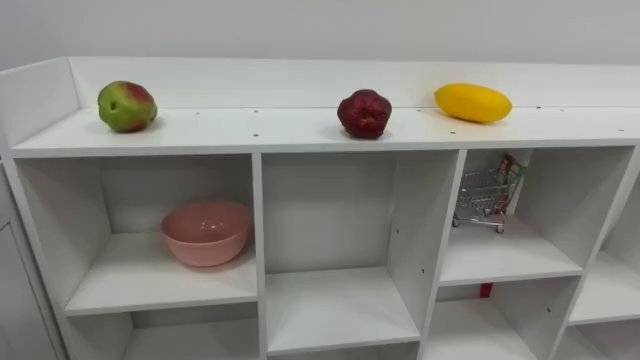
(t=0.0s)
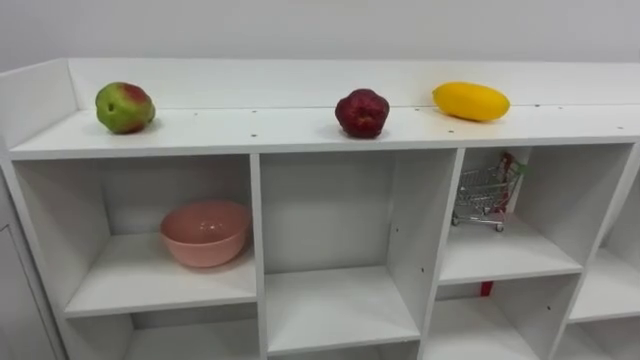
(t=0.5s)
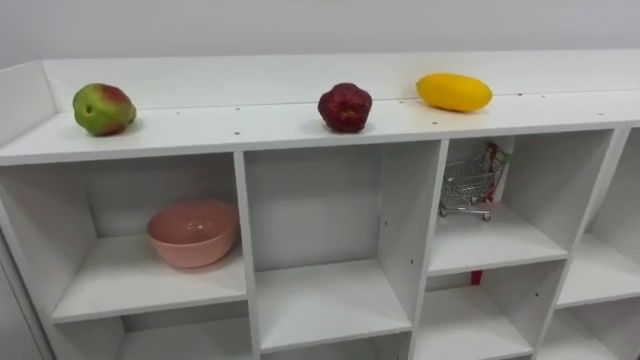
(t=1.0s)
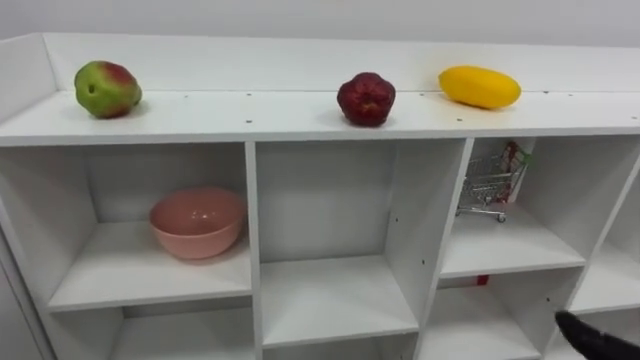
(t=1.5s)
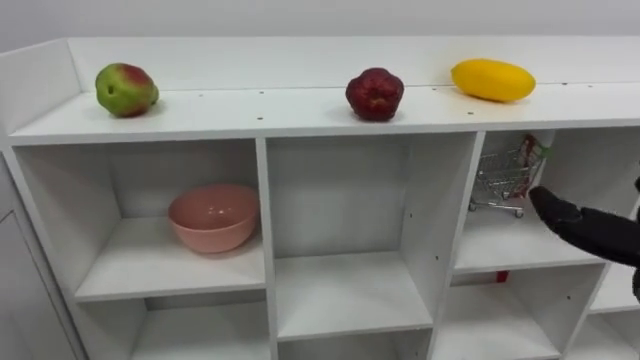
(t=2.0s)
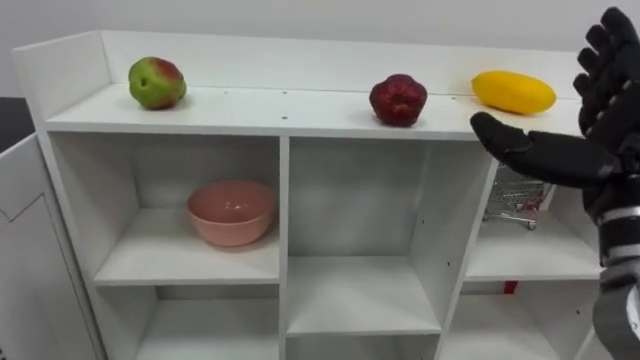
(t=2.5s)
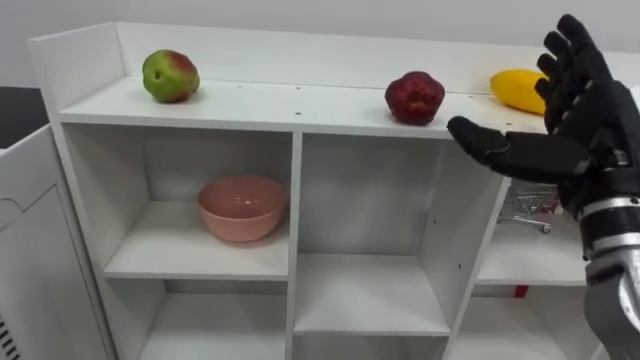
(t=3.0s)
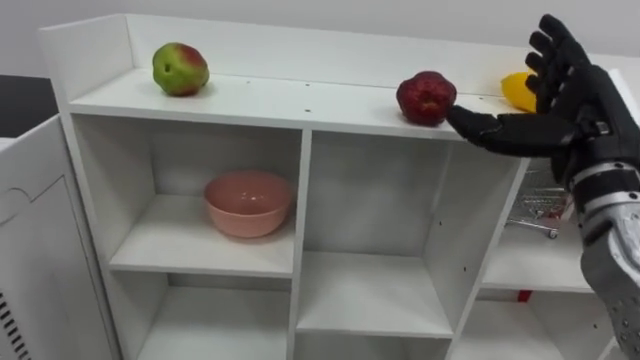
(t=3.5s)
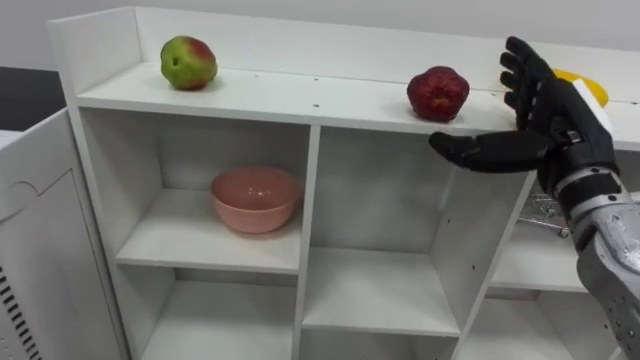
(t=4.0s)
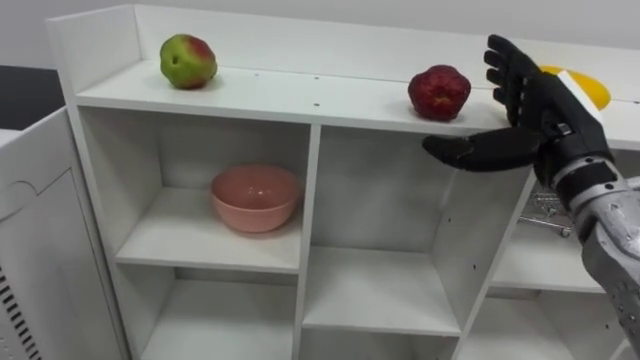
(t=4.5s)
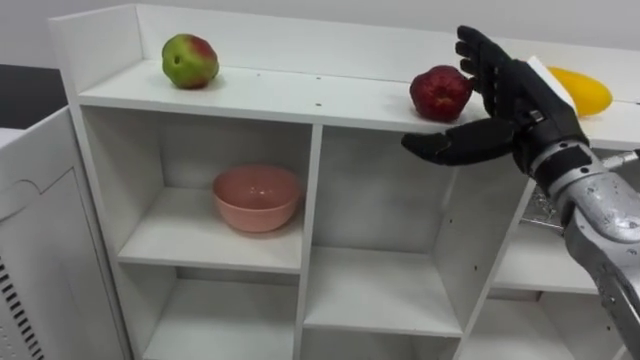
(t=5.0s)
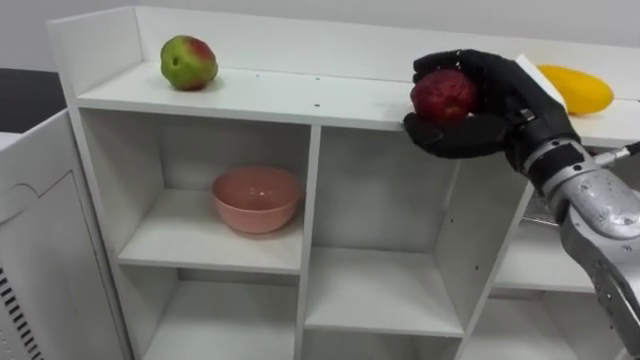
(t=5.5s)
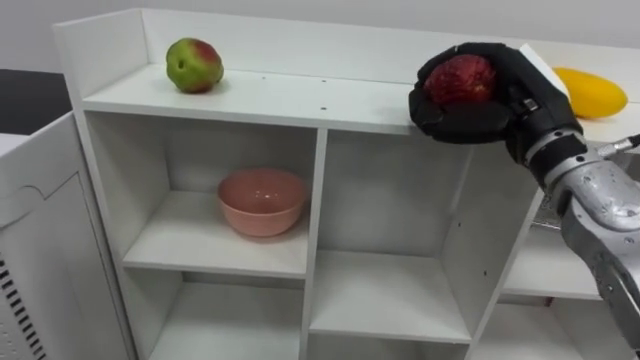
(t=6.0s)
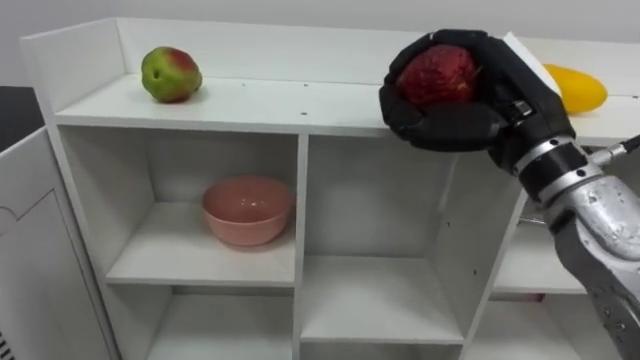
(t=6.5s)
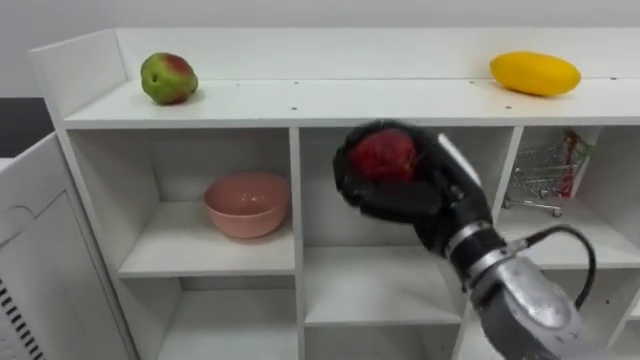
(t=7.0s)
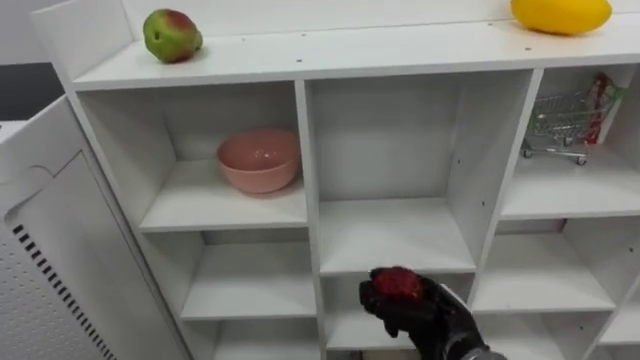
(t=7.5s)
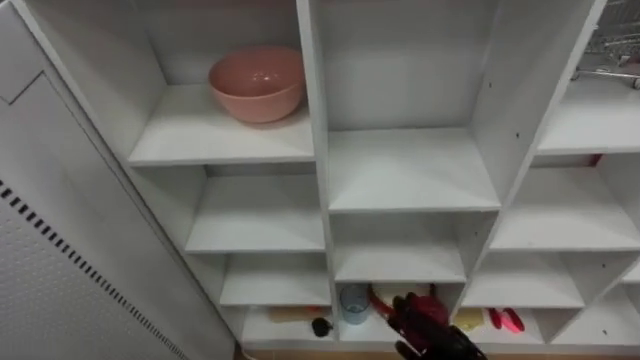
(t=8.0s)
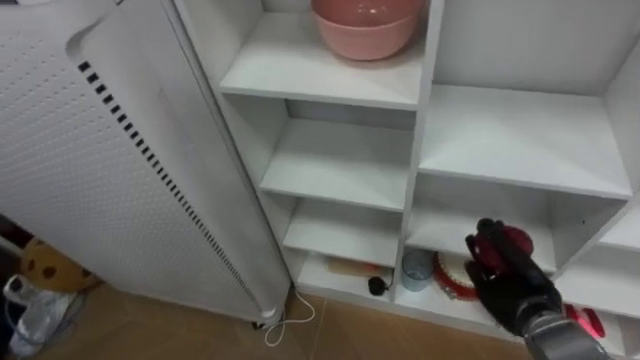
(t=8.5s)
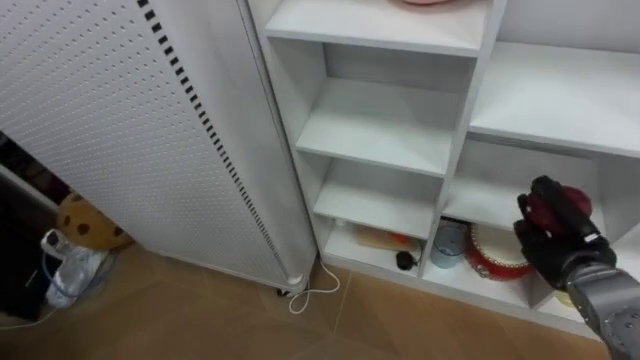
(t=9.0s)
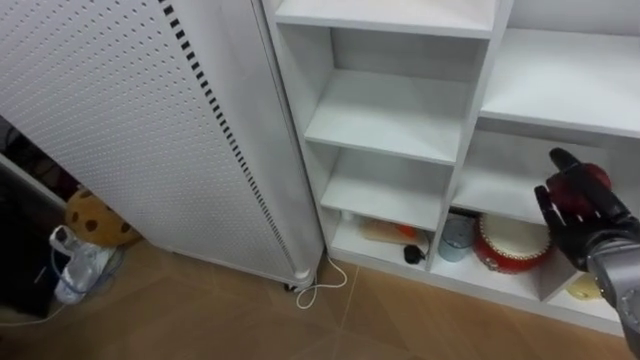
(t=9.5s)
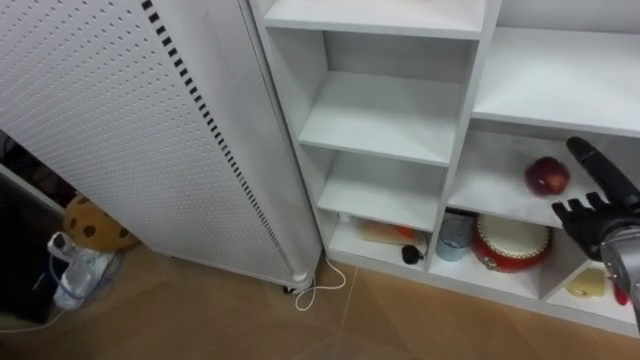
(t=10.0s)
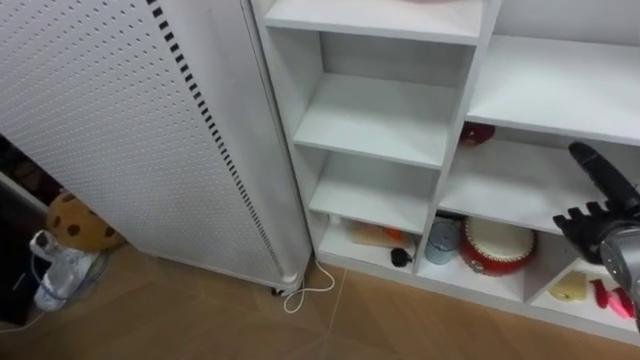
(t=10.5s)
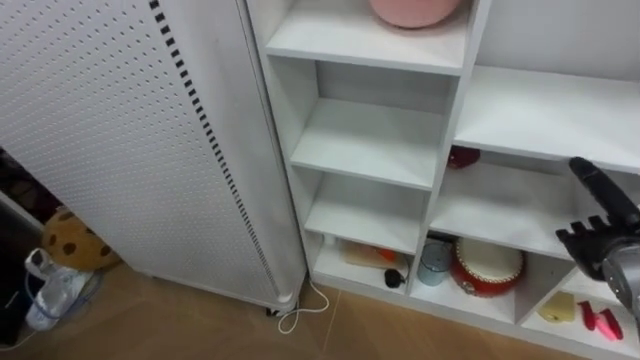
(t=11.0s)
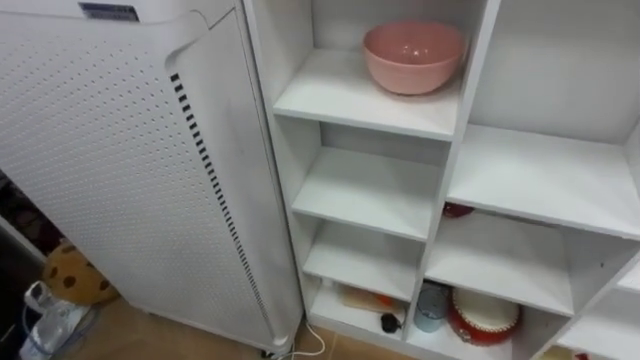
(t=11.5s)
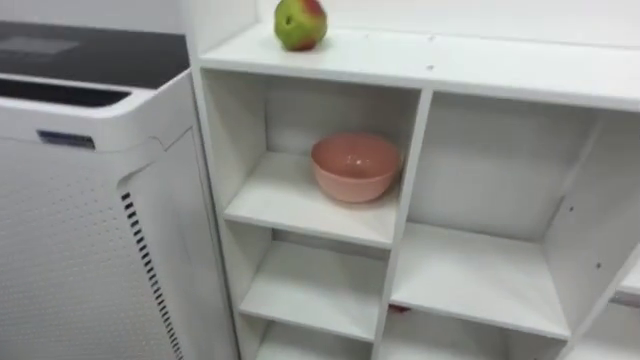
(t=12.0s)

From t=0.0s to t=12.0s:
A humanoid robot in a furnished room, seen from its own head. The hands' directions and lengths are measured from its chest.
Task of the whole recording: Put the apple in the cell in the second column from the left and the second row from the top.
From t=4.0s to t=6.0s: The right hand ends up about 5 cm from where it was, and closes.
From t=6.0s to t=8.0s: The right hand shifts about 35 cm downward.

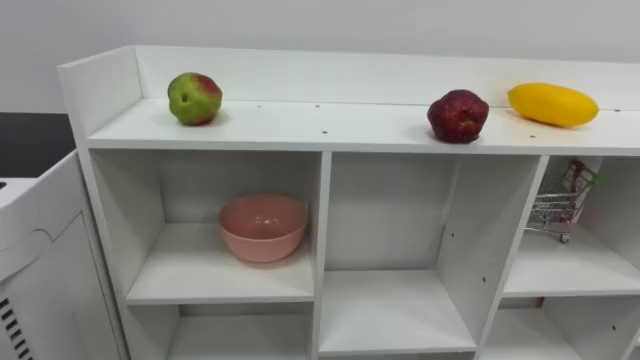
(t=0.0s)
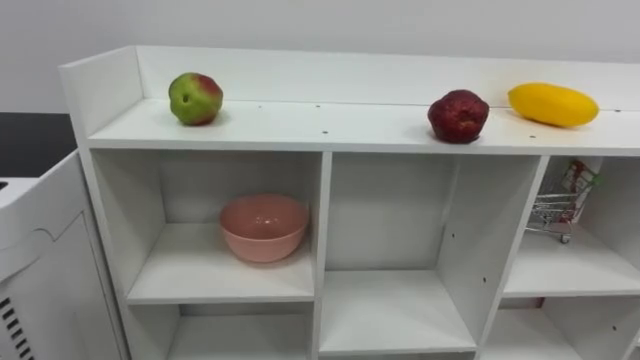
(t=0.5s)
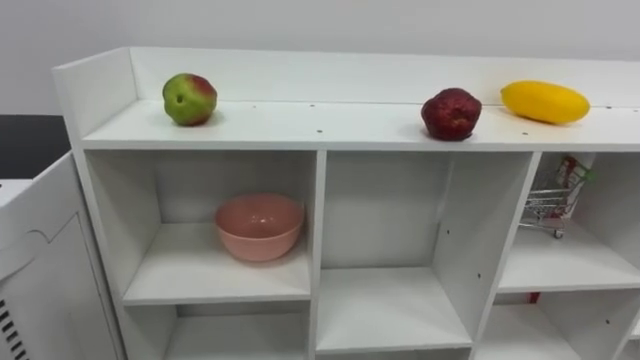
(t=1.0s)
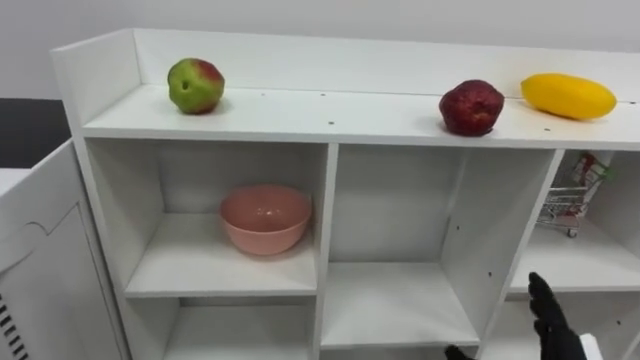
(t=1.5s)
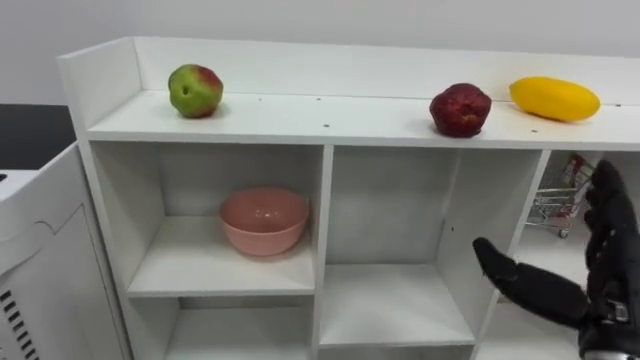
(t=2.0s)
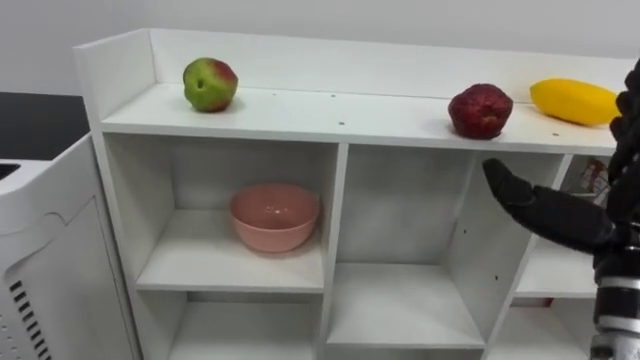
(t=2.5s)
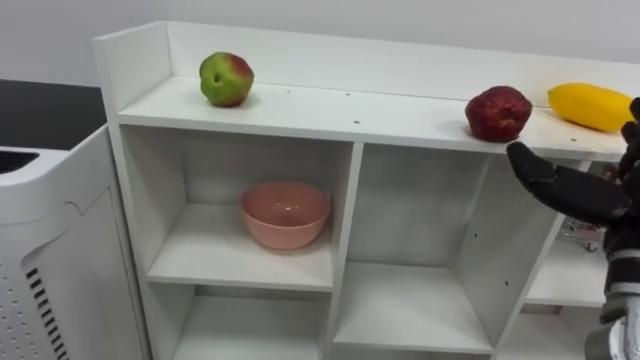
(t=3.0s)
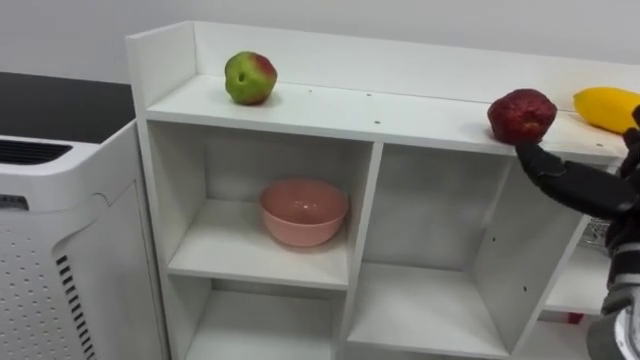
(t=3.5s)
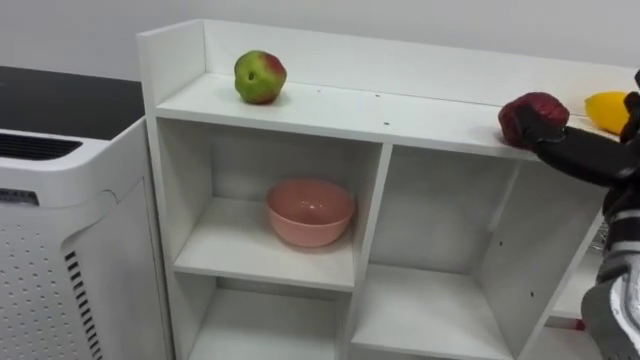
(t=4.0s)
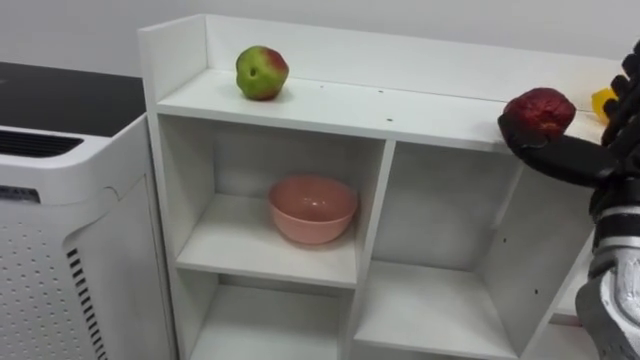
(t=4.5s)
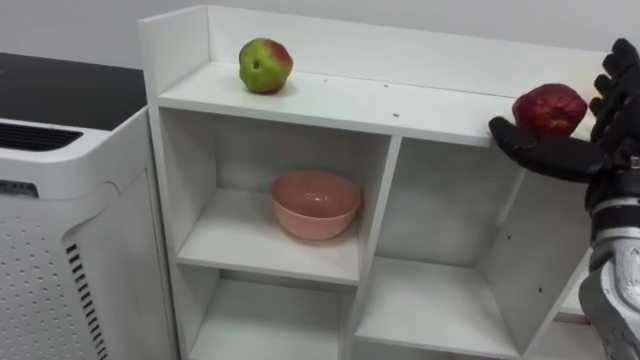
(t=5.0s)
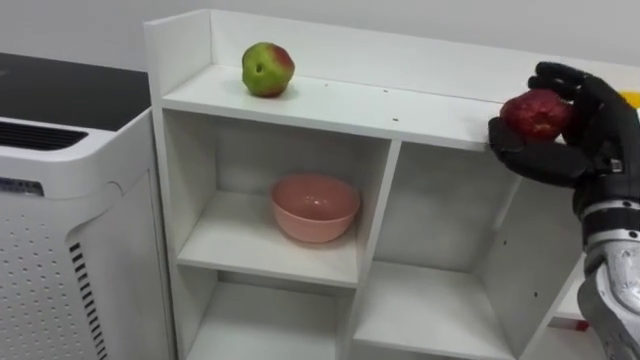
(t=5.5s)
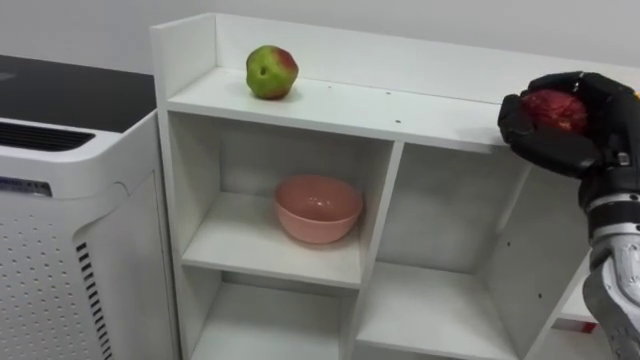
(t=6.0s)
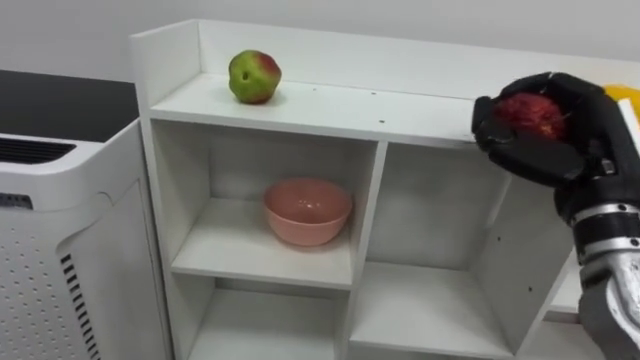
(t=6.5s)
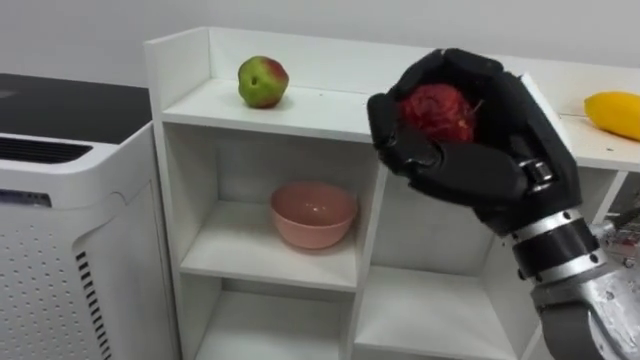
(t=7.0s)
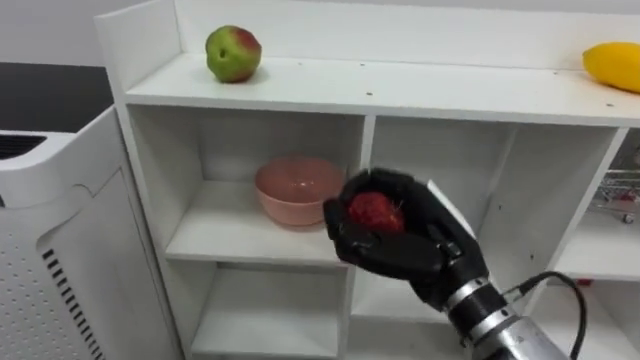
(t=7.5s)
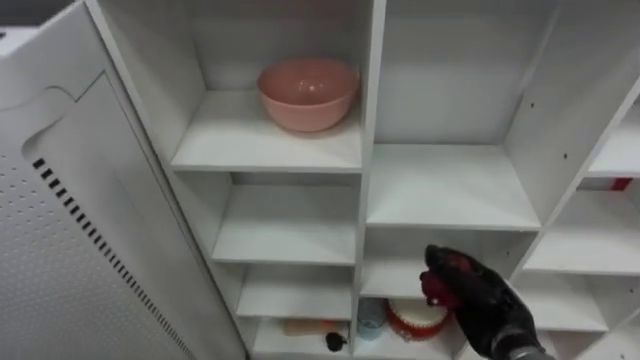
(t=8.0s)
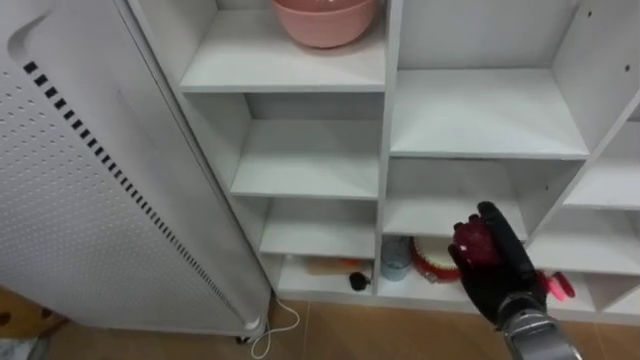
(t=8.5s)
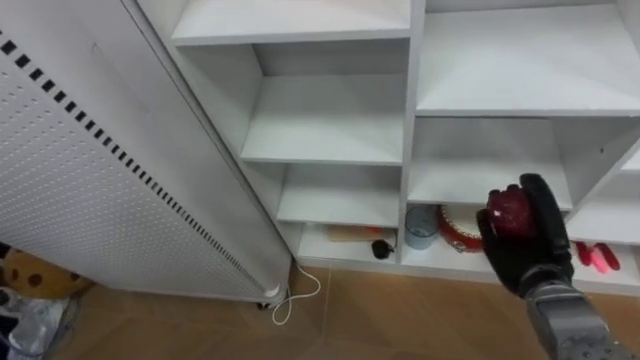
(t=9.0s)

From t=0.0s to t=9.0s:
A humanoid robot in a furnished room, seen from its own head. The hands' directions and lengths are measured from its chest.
Task of the whole recording: Put the apple in the cell in the second column from the left and the second row from the top.
From t=4.5s to t=7.0s: The right hand moves to the left, about 15 cm, and closes up.
From t=7.0s to t=9.0s: The right hand travels downward, forward and to the right by approximately 25 cm.
